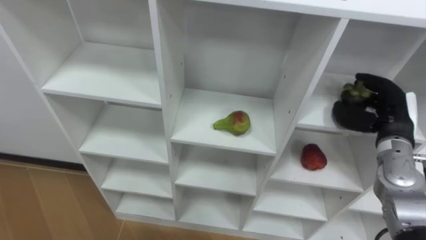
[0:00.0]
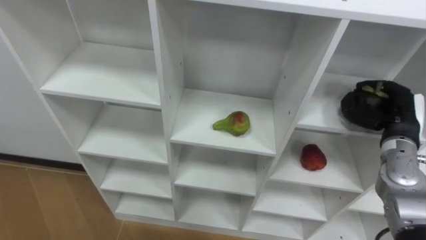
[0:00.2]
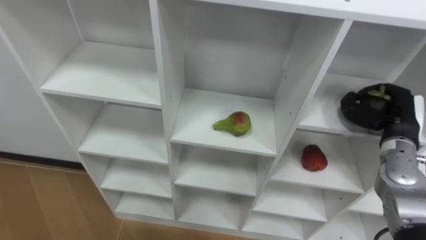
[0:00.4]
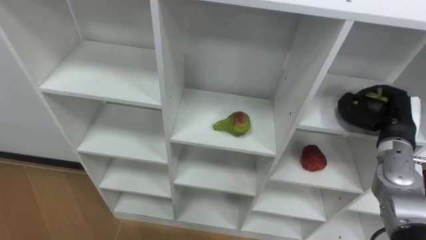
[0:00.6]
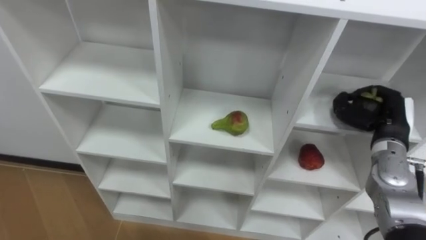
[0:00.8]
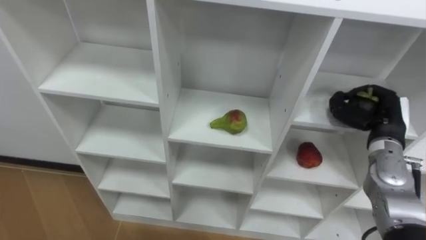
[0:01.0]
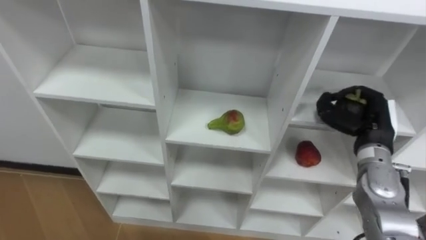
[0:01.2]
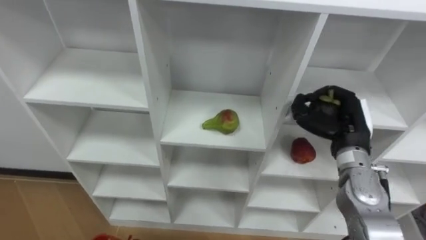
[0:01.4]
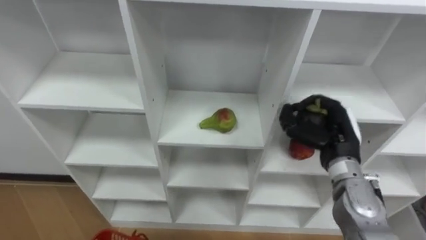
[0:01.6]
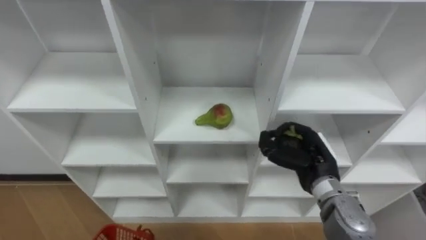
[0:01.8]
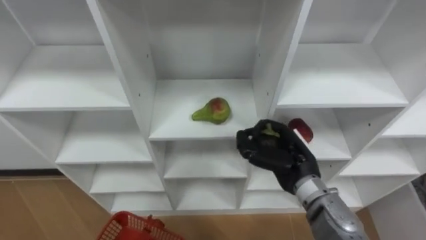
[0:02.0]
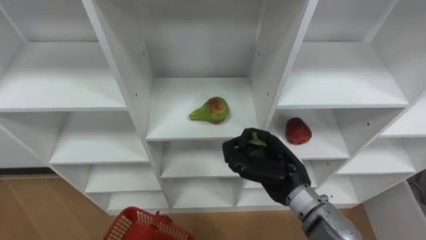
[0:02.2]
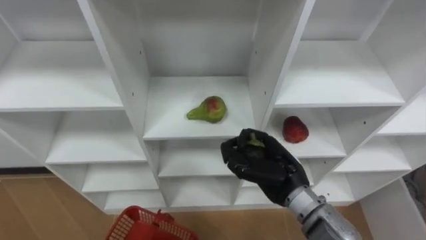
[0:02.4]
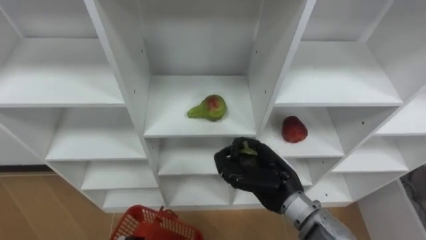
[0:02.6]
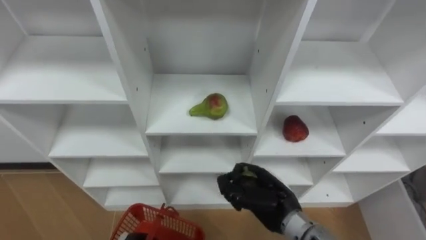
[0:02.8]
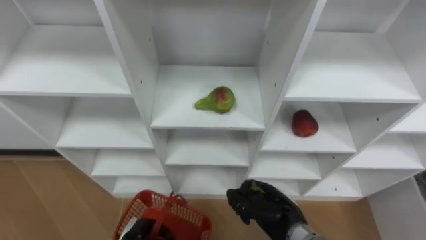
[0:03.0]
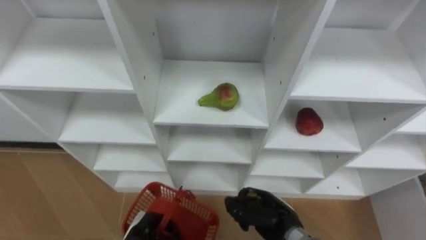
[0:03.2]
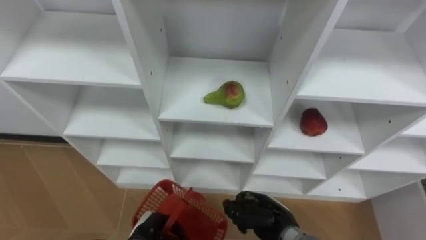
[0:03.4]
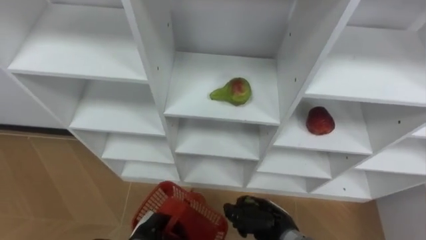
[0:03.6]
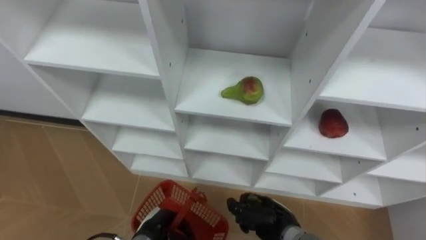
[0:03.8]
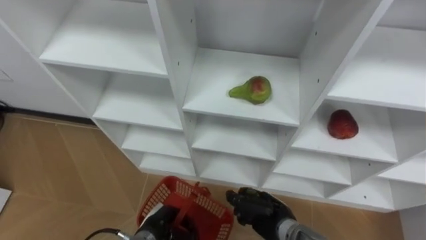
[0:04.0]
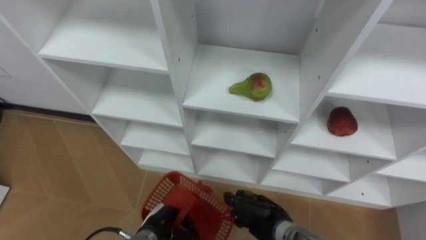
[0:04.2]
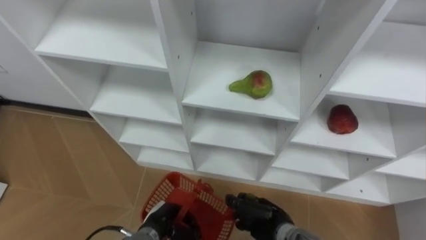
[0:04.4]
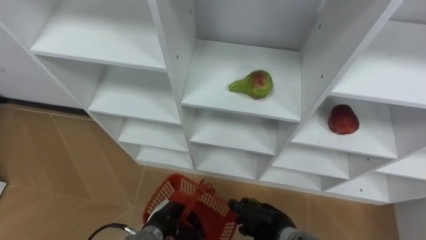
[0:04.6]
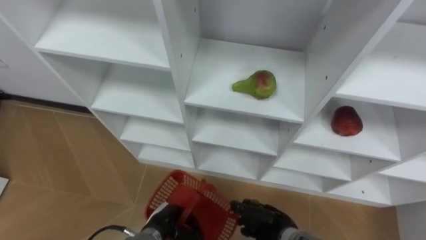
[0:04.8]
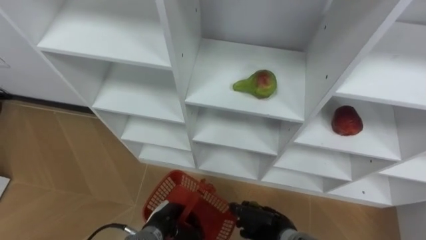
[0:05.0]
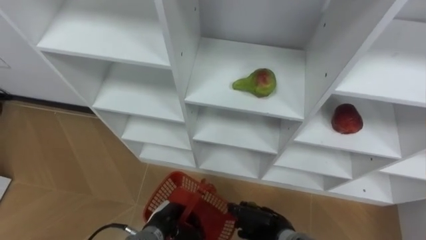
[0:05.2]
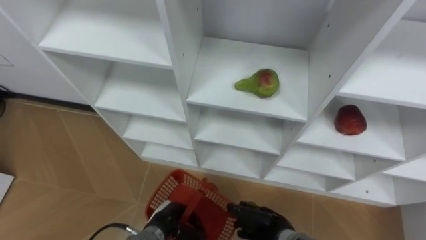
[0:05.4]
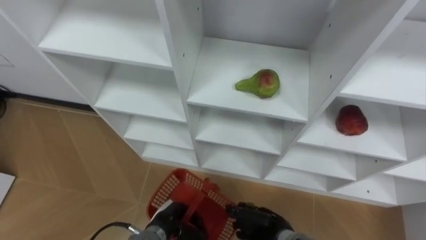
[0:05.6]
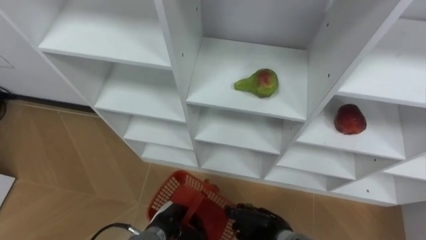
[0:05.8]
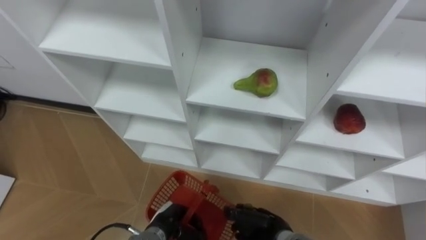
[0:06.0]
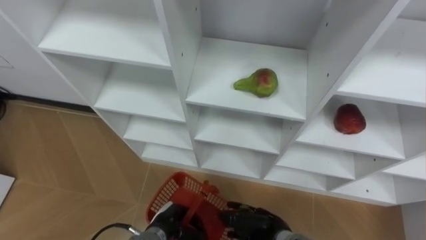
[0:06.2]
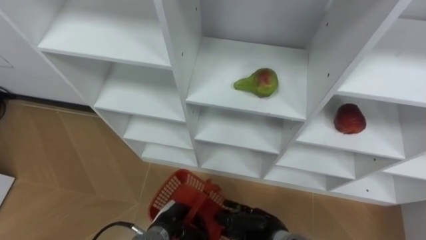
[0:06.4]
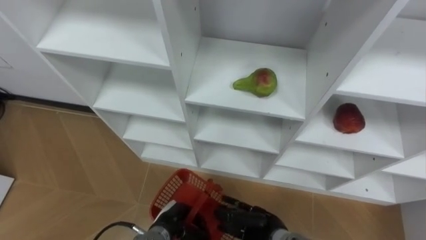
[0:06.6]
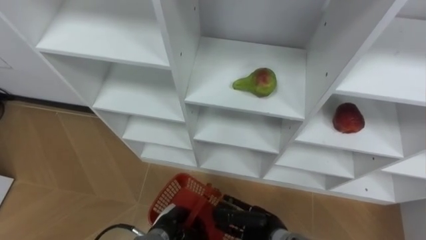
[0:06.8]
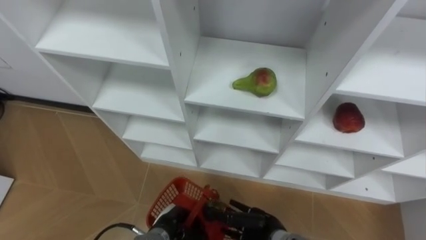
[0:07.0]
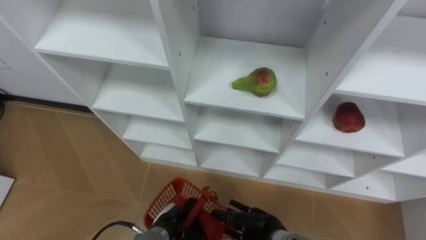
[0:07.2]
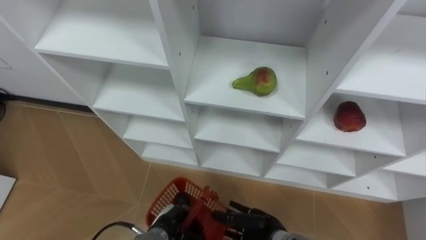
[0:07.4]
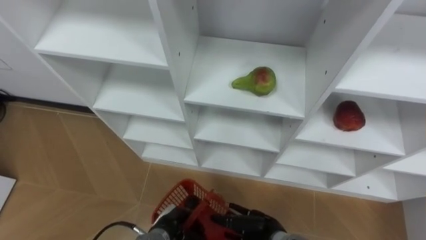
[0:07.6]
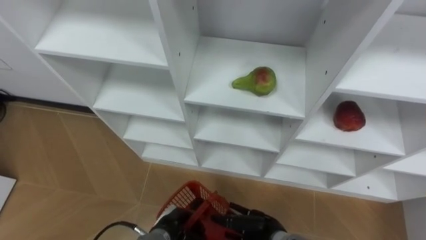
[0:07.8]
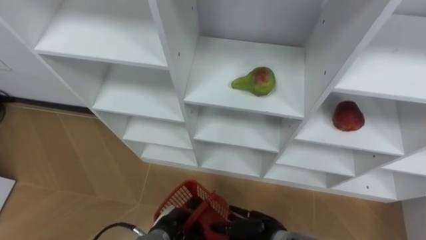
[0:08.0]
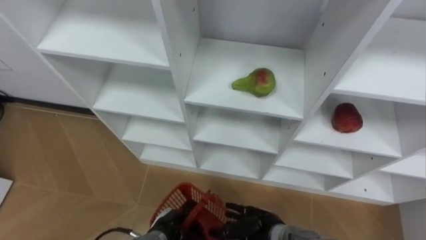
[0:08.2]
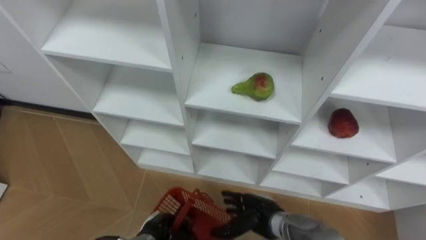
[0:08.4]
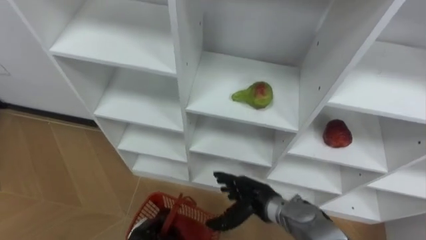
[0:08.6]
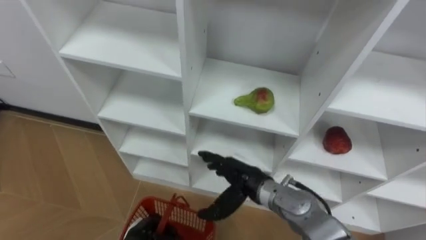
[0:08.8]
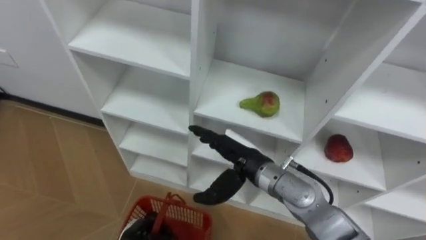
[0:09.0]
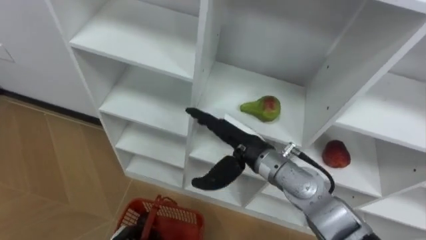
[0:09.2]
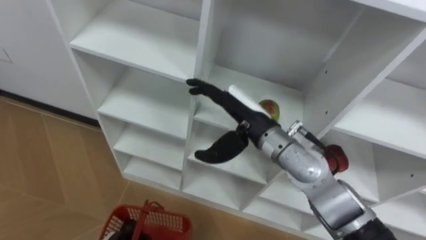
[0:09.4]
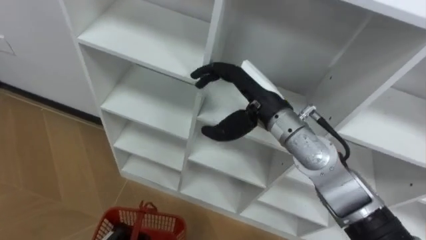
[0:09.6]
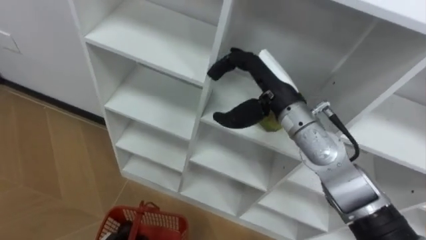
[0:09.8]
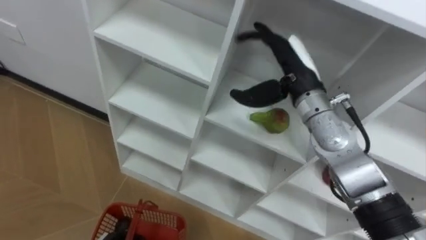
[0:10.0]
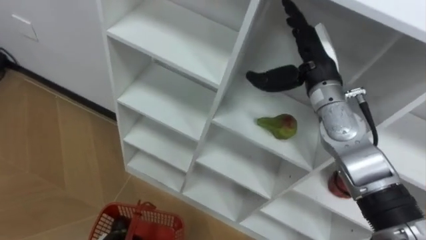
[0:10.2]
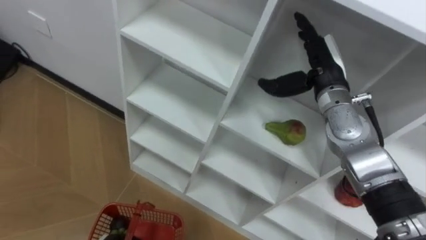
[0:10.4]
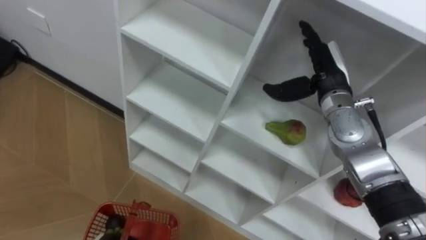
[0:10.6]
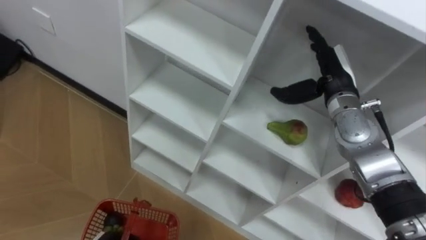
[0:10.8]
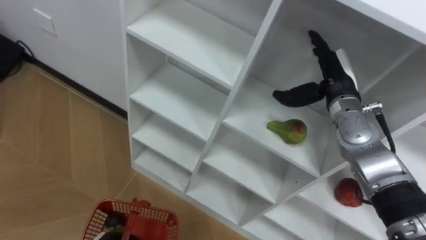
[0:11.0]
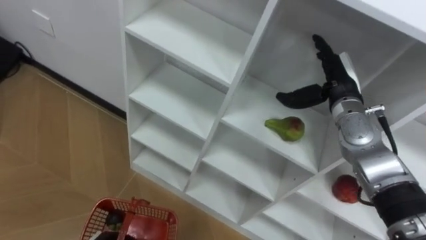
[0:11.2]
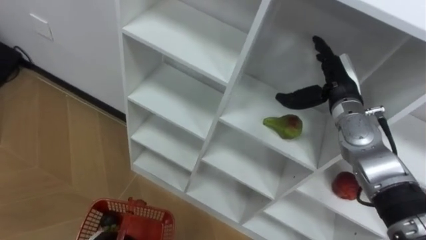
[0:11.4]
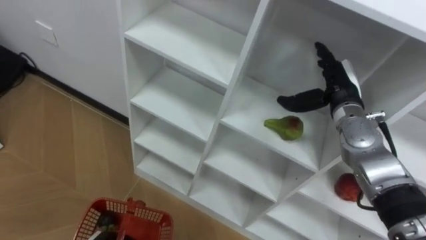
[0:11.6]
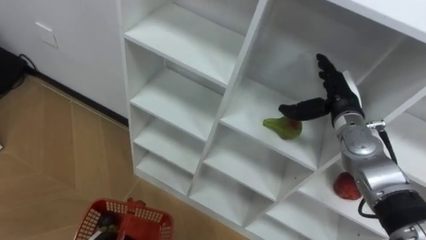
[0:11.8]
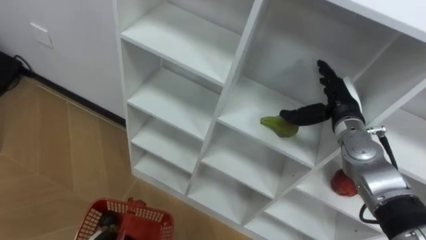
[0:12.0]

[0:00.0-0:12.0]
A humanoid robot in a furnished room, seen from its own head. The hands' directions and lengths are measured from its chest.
Task of the whole recording: Hold the basket and collect the fruits from 3 different cells of the closet into it.
0:00.0 to 0:01.6: The right hand moves to the left, approximately 10 cm, and closes its fingers.
0:01.6 to 0:03.0: The right hand travels downward, to the left and backward by some 20 cm.
0:03.0 to 0:04.4: The right hand is displaced downward by about 5 cm. The left hand goes roughly 5 cm to the right.
0:04.4 to 0:06.0: The hands make only small movements.
0:06.0 to 0:07.6: The right hand opens.
0:07.6 to 0:09.0: The right hand heads upward and forward, covering about 20 cm; the left hand heads to the left, covering some 5 cm.
0:09.0 to 0:10.4: The right hand heads to the right, forward and upward, covering roughly 20 cm.
0:10.4 to 0:12.0: The right hand heads downward and to the right, covering some 10 cm.

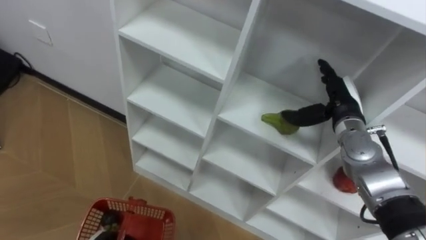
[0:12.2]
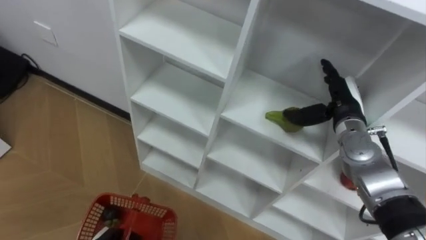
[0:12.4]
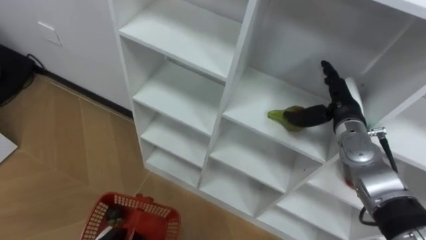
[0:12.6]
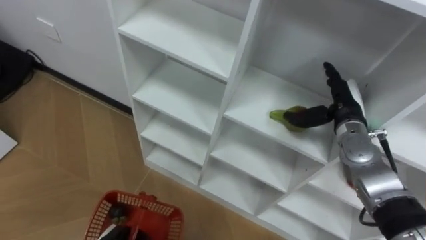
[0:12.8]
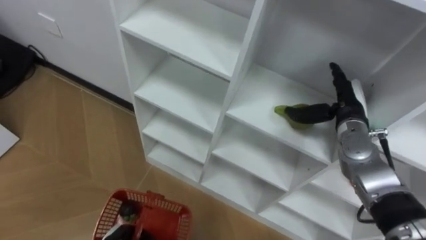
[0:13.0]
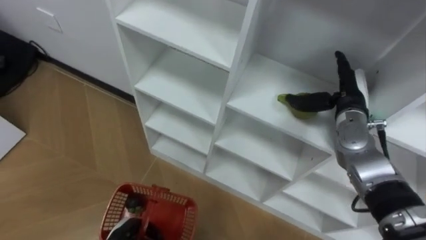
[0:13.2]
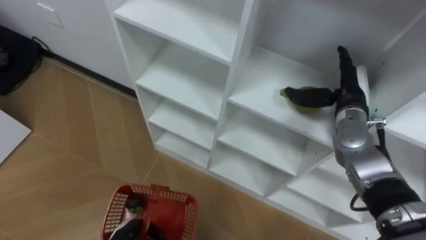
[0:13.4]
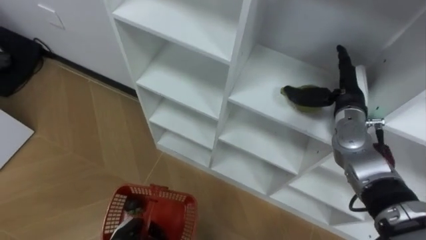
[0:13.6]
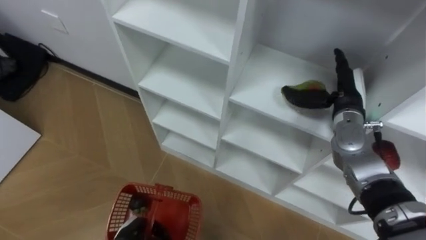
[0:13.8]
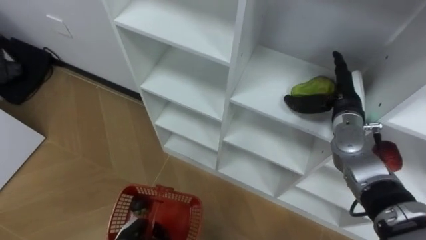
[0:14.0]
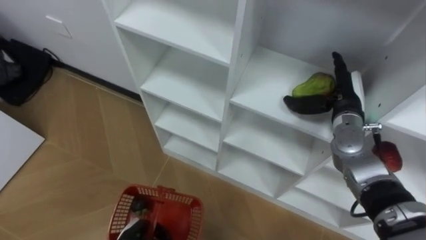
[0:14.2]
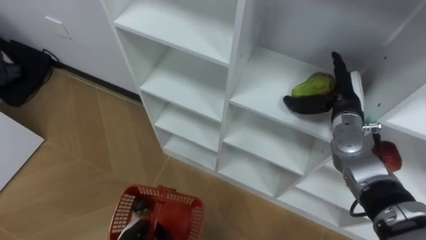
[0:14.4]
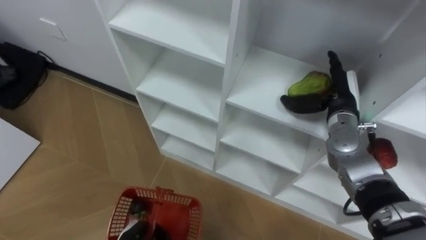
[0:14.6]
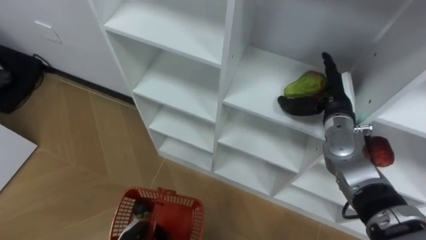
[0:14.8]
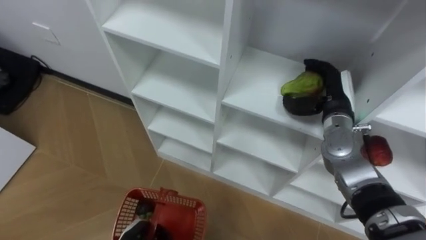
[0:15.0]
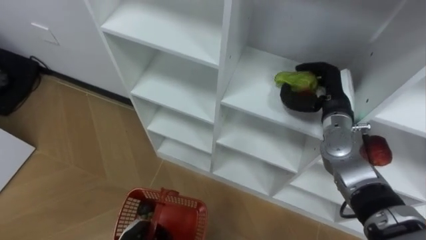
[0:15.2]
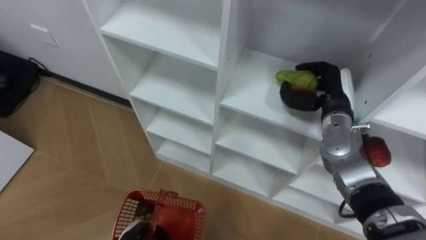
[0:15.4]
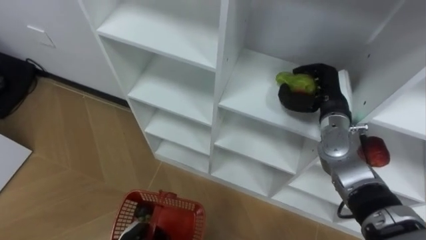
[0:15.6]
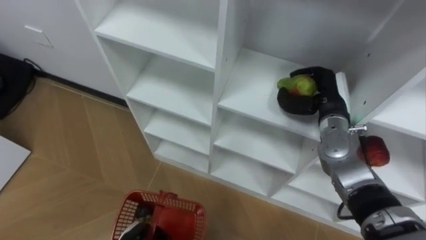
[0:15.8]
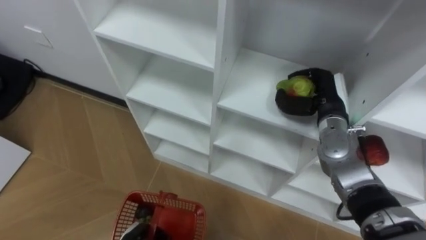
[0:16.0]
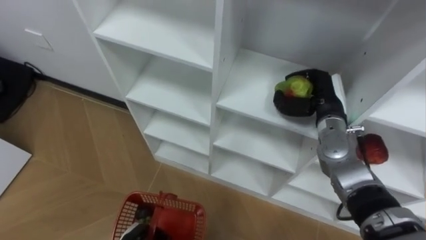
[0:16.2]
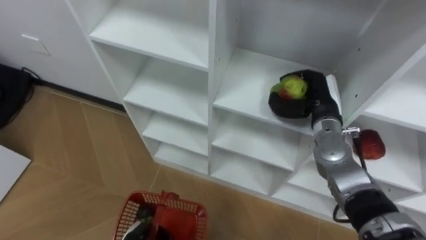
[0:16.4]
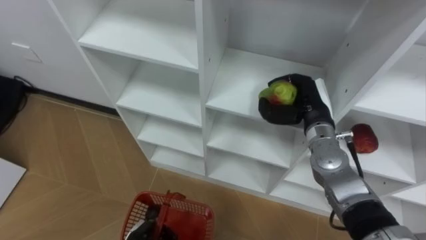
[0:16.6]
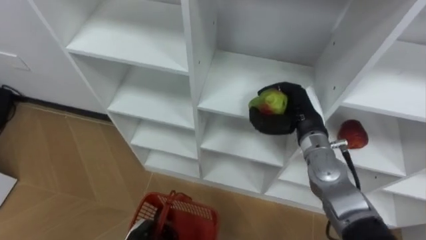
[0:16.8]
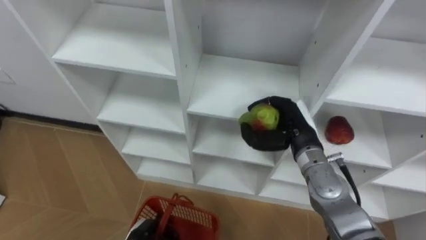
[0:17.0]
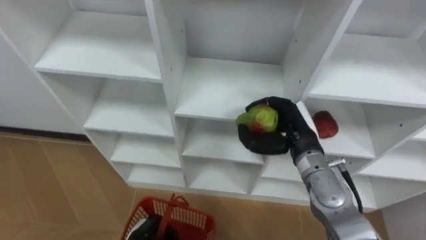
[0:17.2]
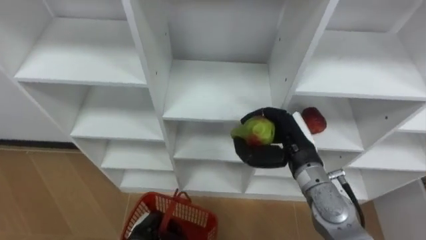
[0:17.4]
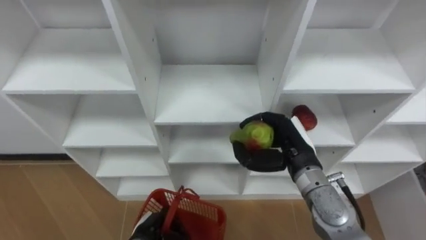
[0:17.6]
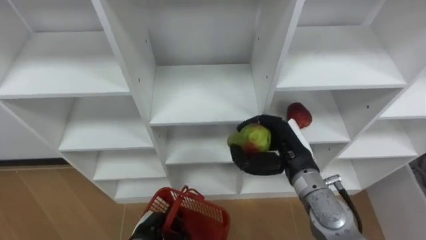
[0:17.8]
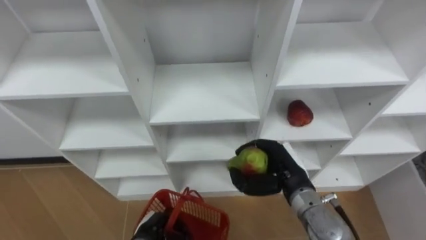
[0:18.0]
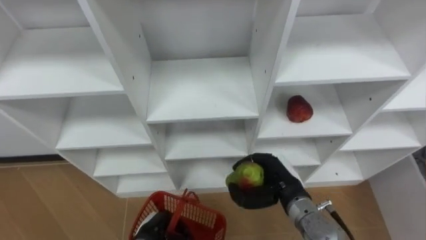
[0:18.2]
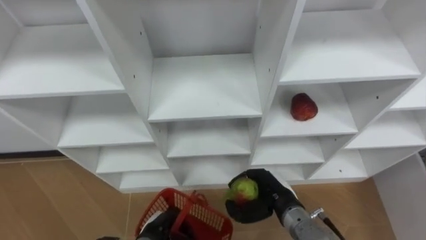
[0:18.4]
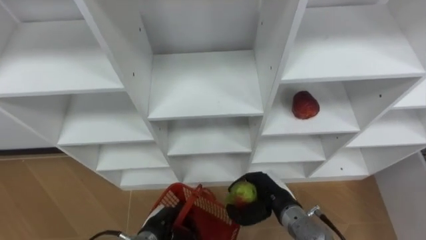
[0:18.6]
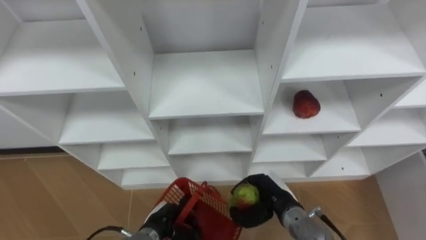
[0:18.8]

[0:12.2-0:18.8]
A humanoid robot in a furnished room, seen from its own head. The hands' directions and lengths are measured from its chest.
Task of the whole recording: Hold the basket and collect the fruits from 3 different cells of the closet into it.
0:13.8 to 0:15.4: The right hand closes up.
0:15.4 to 0:17.2: The right hand heads to the left and backward, covering roughly 10 cm.
0:17.2 to 0:18.8: The left hand shifts by about 5 cm; the right hand is displaced downward and backward by some 15 cm.
